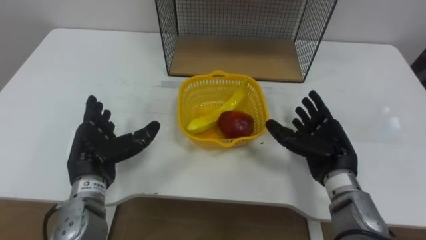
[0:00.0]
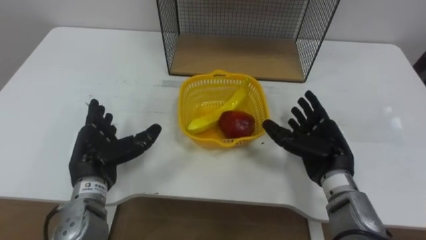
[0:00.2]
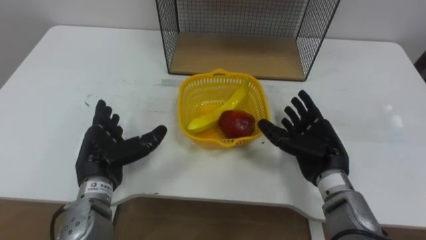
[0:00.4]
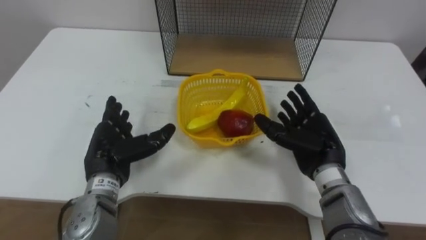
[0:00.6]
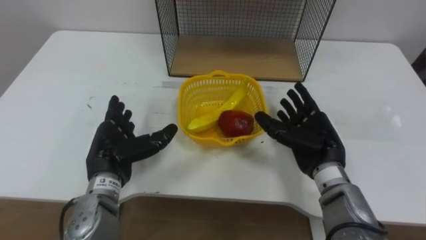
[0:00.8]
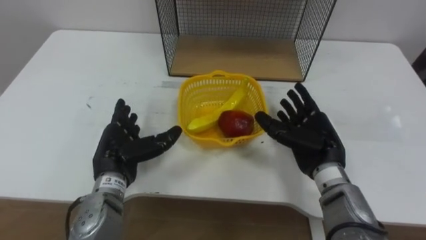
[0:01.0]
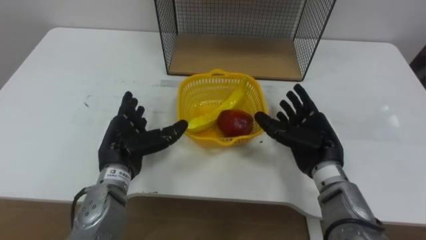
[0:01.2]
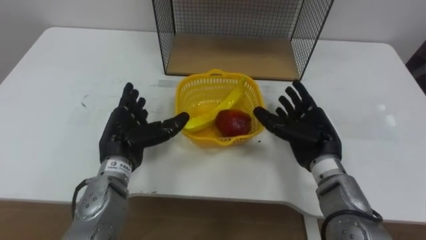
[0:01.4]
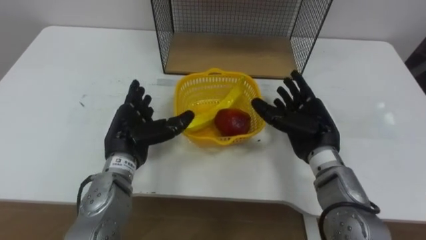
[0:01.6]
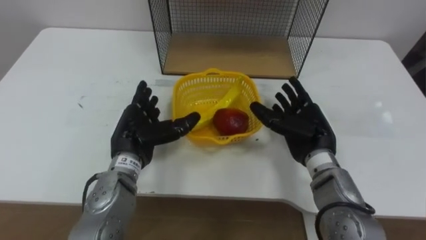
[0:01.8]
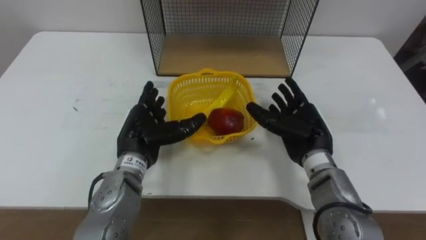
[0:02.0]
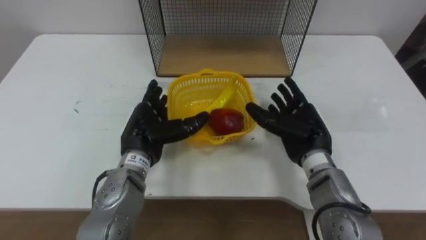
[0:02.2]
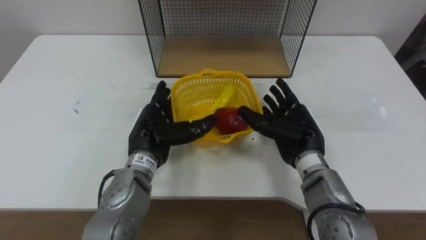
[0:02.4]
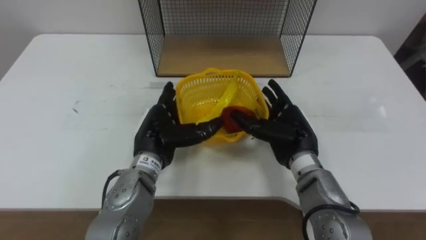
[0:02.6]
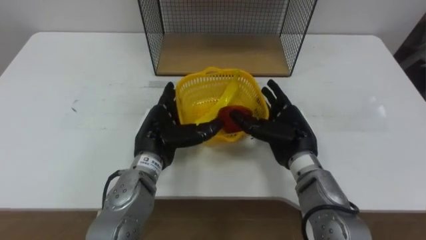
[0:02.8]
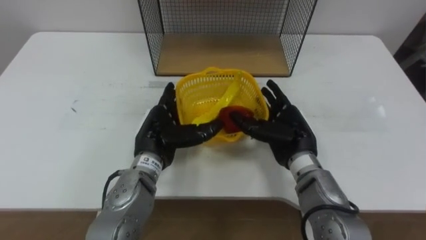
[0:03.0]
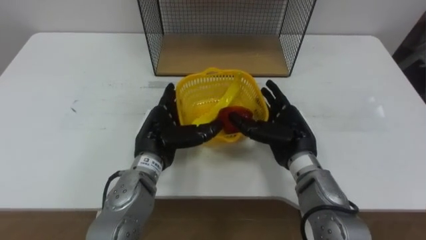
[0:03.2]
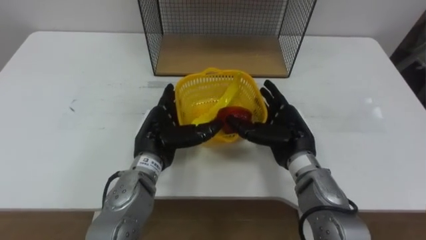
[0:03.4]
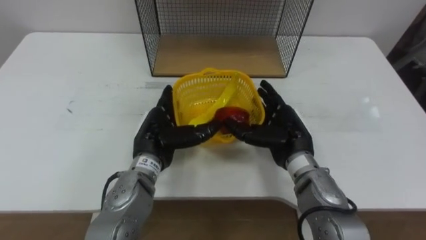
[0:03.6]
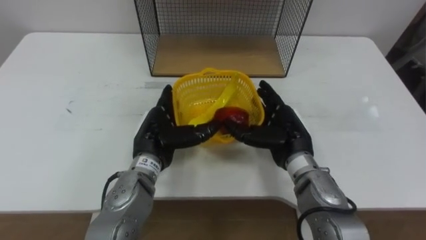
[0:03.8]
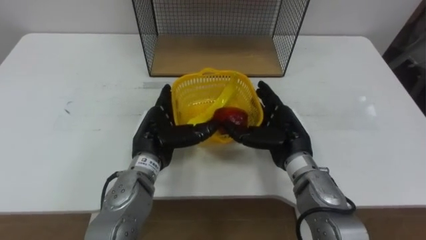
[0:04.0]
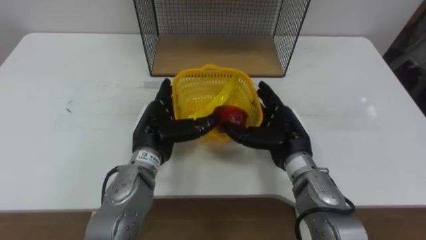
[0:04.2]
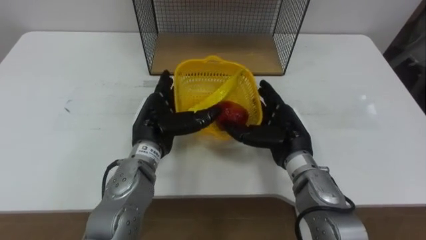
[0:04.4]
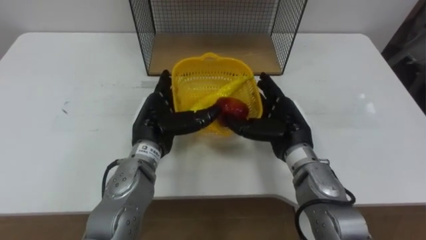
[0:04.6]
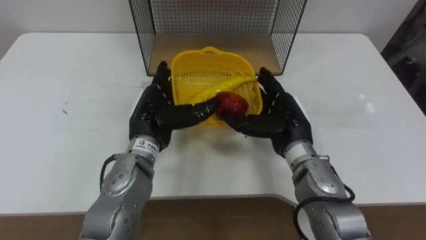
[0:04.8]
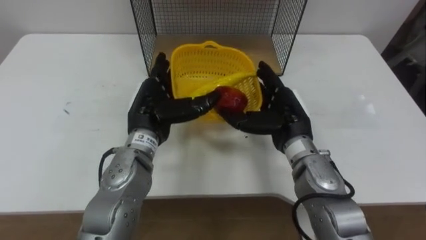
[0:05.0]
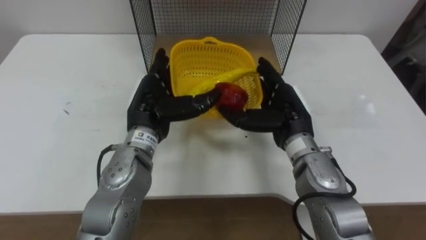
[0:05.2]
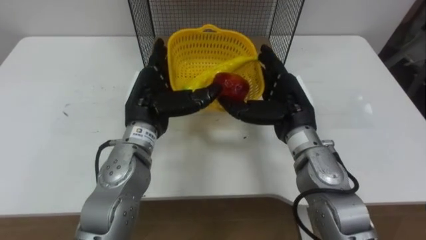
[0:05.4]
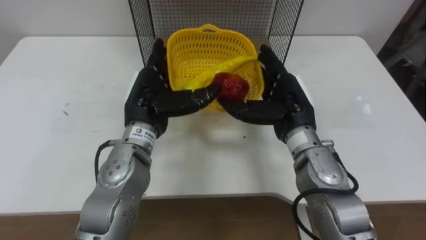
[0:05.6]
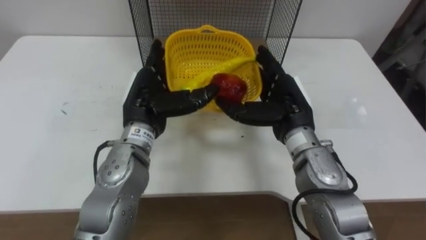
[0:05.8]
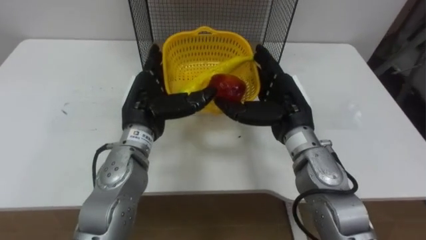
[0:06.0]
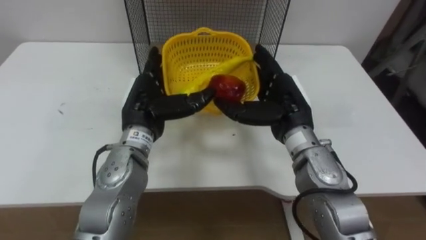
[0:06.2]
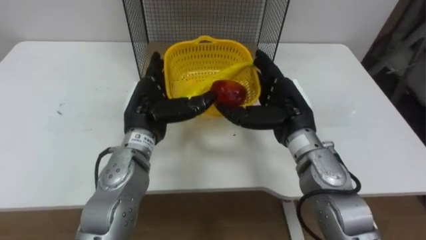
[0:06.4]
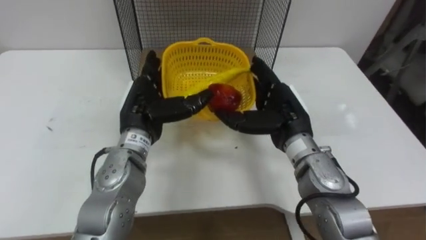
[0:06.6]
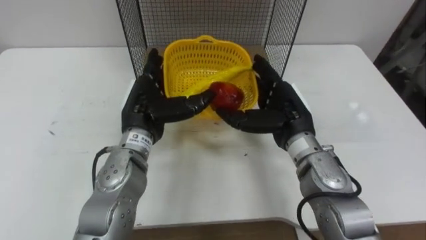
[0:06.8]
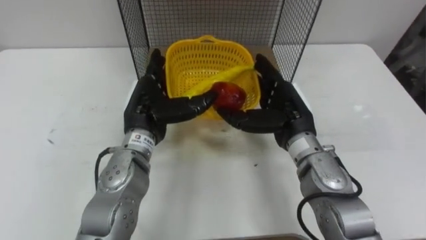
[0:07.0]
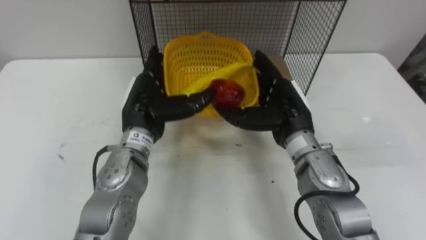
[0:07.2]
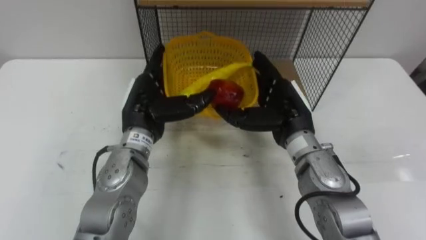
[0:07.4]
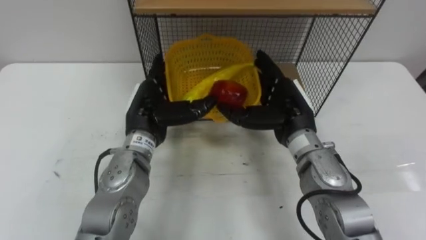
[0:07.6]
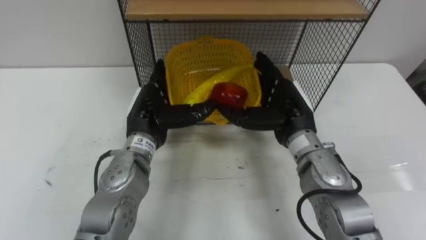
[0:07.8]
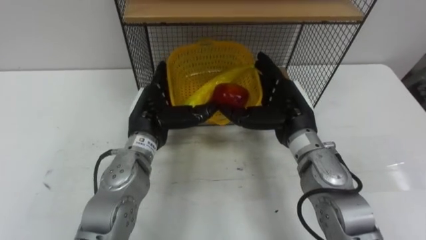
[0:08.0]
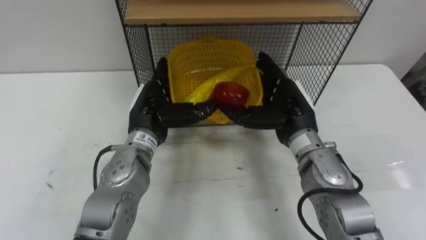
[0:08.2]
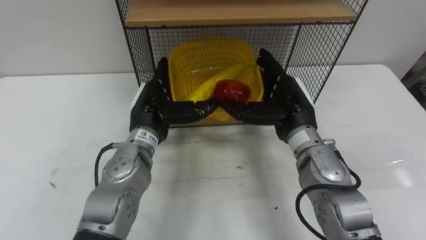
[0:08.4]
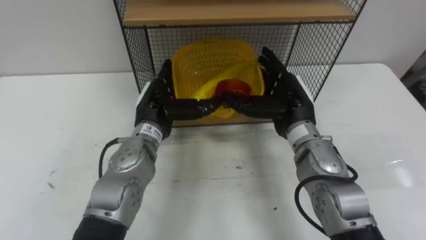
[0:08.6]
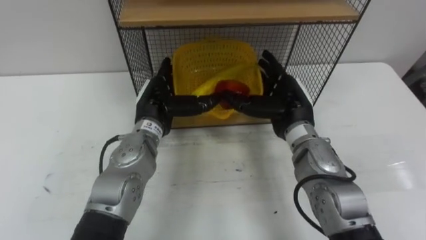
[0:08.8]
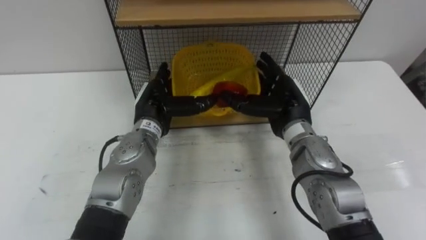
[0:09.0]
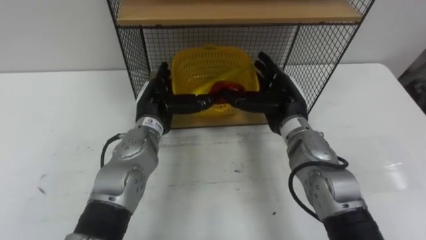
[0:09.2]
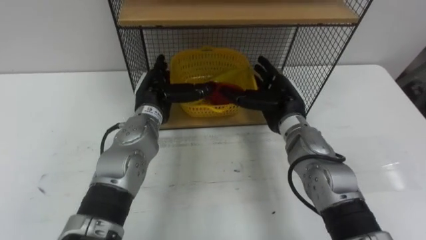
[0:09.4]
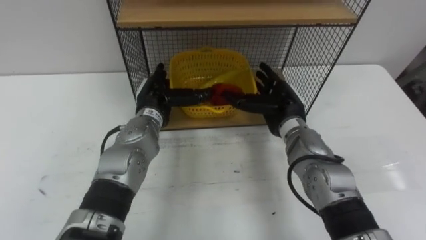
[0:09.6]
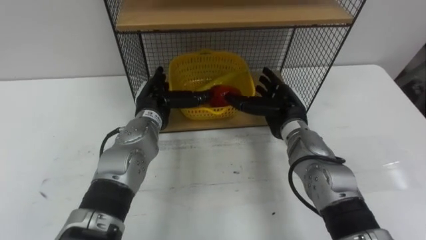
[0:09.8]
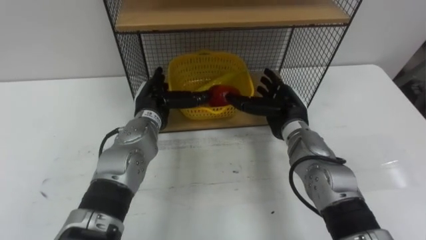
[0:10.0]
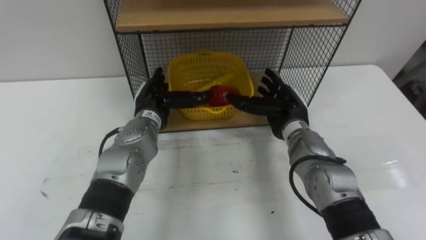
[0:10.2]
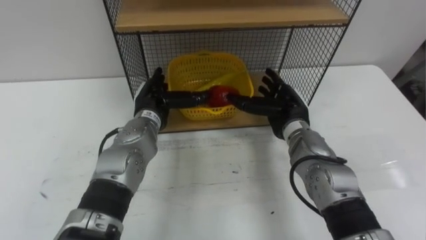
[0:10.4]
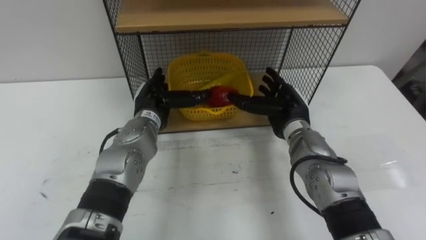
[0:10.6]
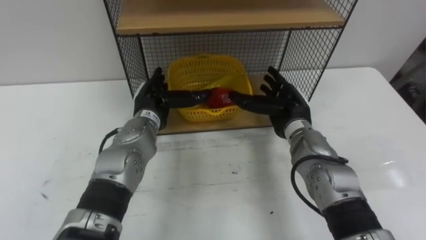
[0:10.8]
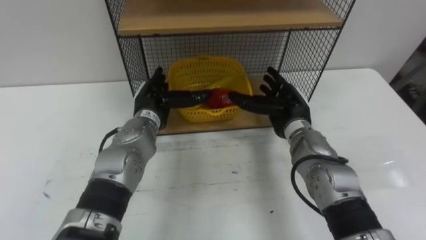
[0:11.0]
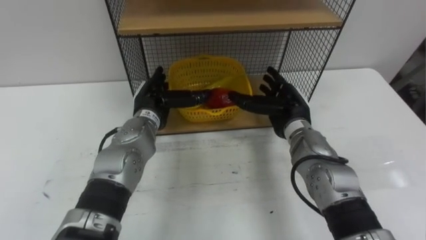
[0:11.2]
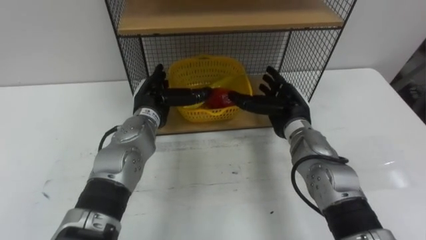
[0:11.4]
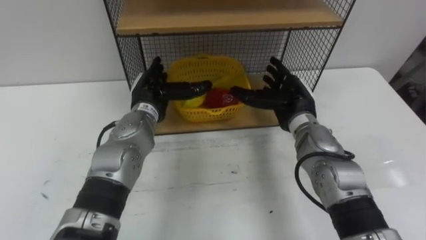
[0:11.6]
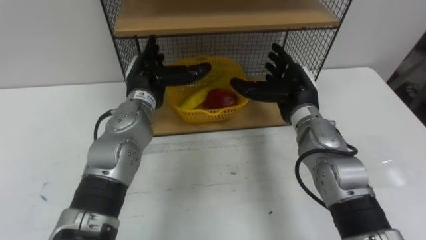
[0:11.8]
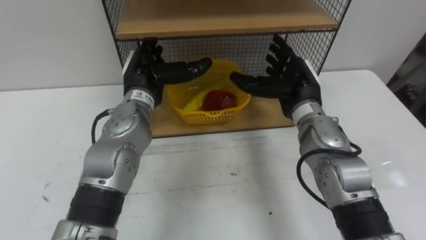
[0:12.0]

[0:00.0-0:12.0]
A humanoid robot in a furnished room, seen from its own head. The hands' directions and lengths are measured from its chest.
Task of the whole recording: Put the fruit on the table into the basket, then place the basket on the shelf.
0:00.0 to 0:01.6: The right hand changes place by roughly 5 cm. Meanwhile the left hand travels to the right by roughly 5 cm.
0:01.6 to 0:03.0: The left hand shifts about 5 cm to the right.
0:03.0 to 0:04.4: The hands stay close to where they were, moving slightly.
0:04.4 to 0:06.0: The right hand is displaced upward by roughly 5 cm.
0:10.4 to 0:12.0: Both hands travel together upward, approximately 5 cm.

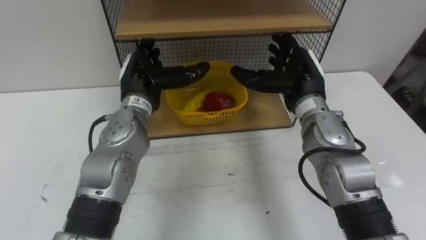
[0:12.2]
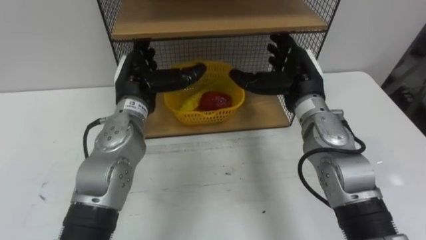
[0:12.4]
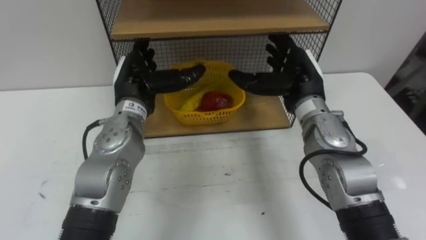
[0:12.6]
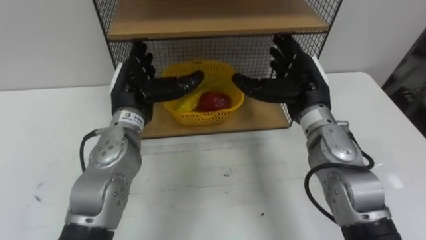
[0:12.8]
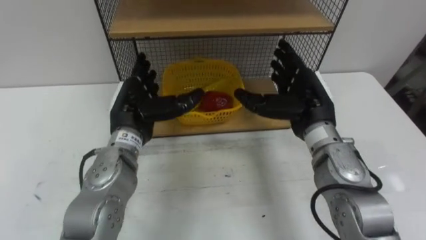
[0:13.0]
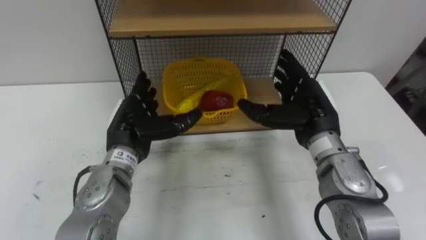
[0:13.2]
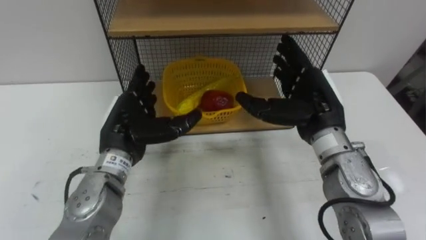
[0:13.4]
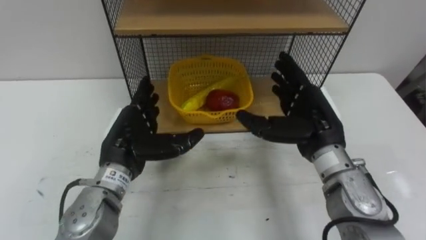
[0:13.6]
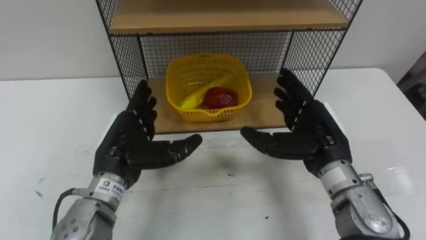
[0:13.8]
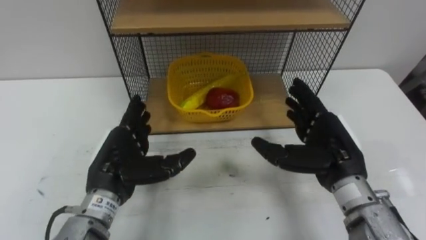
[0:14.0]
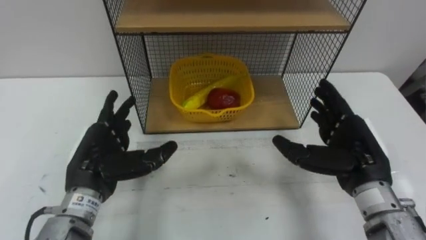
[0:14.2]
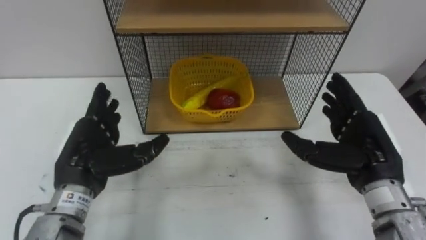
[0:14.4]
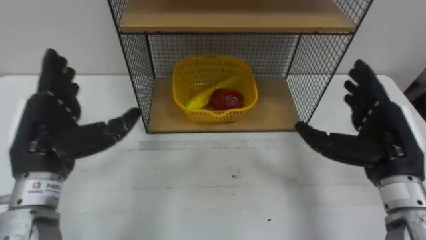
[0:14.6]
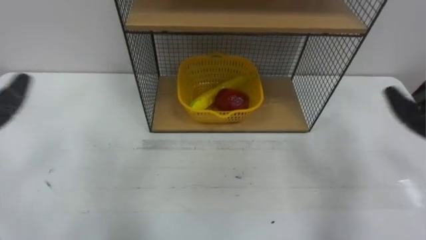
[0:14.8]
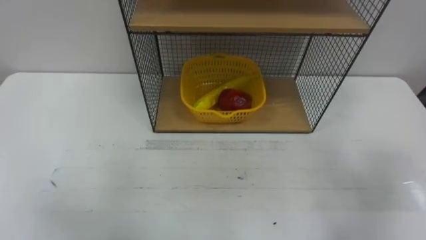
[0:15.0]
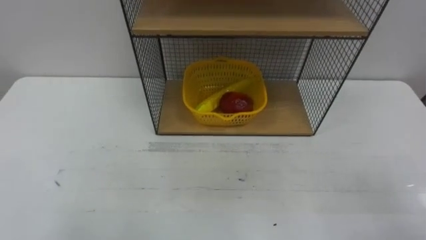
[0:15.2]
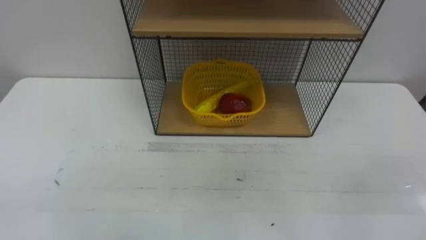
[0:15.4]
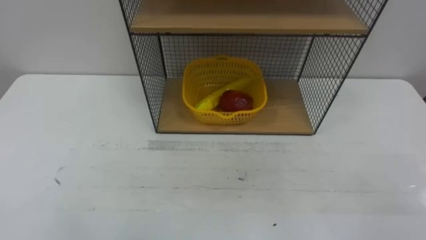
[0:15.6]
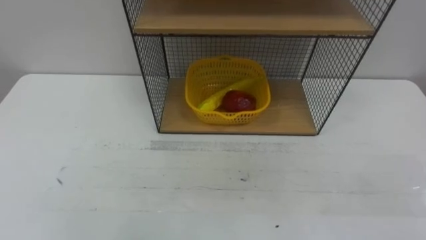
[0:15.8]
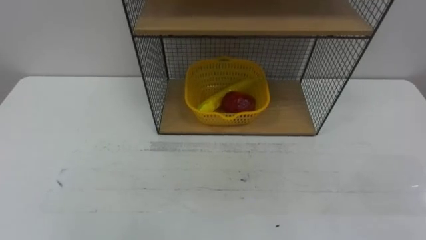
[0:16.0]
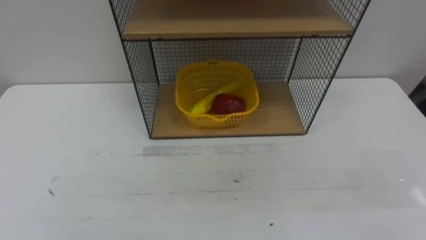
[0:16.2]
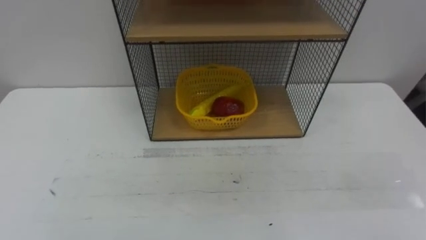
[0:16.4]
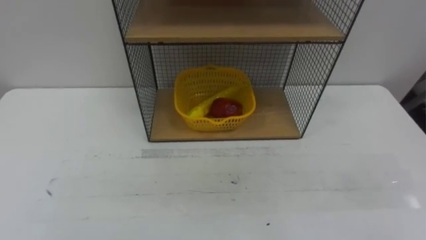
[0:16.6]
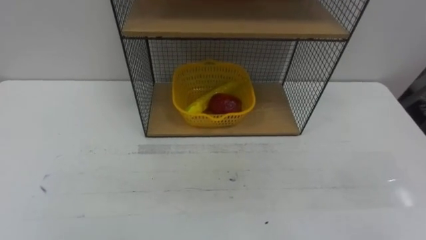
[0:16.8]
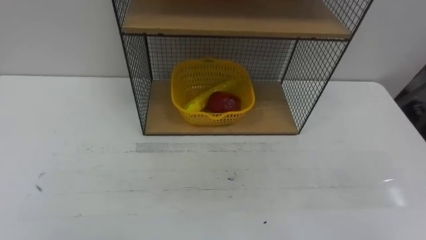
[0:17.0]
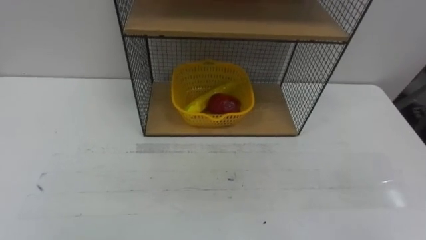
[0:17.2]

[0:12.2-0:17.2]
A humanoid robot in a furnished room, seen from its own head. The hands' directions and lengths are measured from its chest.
Task of the whole recording: Put the fruit on the table into the basket, then place the basket on the shelf.
0:12.2 to 0:13.8: The hands both shift backward by about 10 cm.
